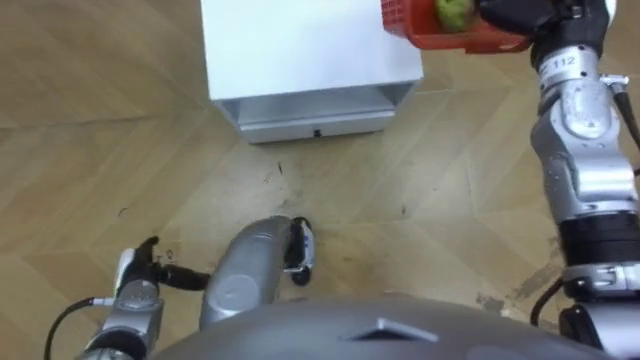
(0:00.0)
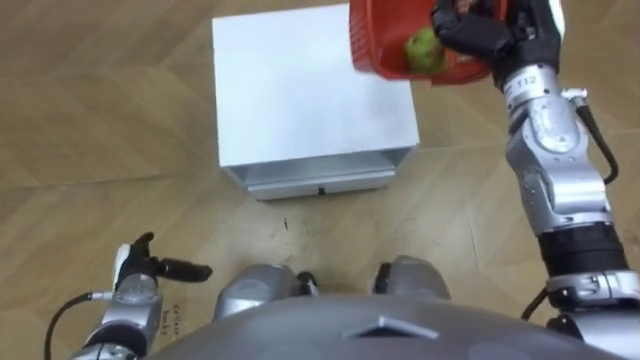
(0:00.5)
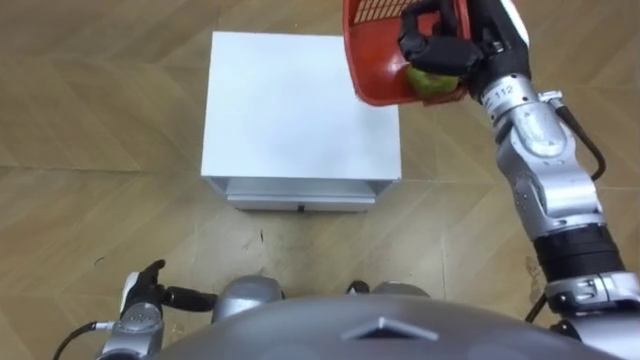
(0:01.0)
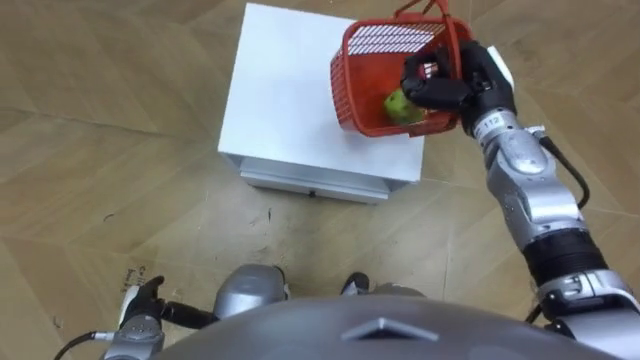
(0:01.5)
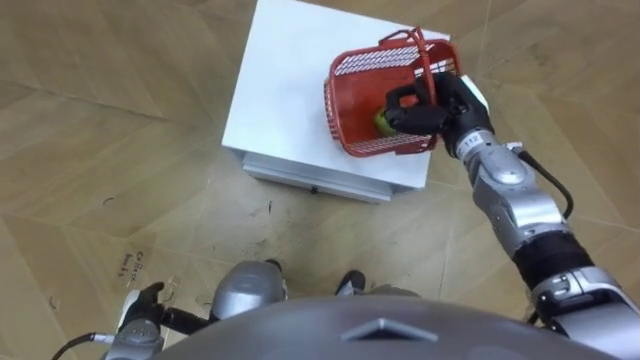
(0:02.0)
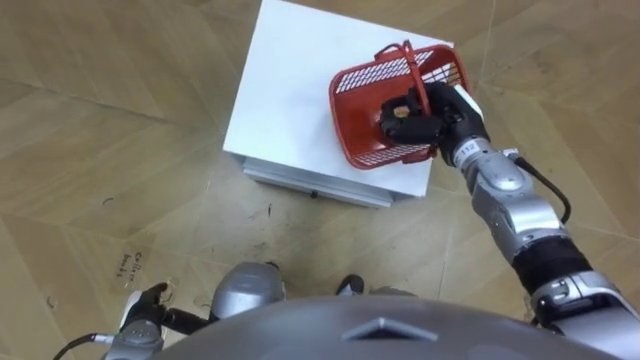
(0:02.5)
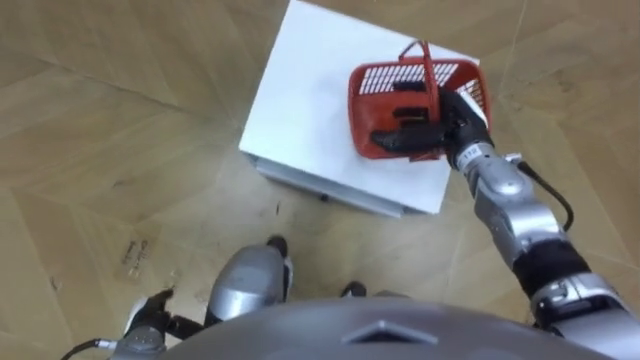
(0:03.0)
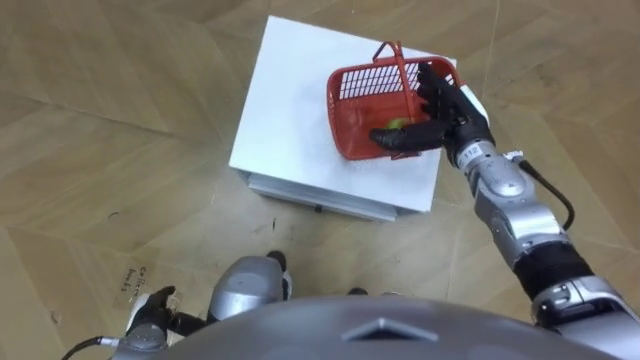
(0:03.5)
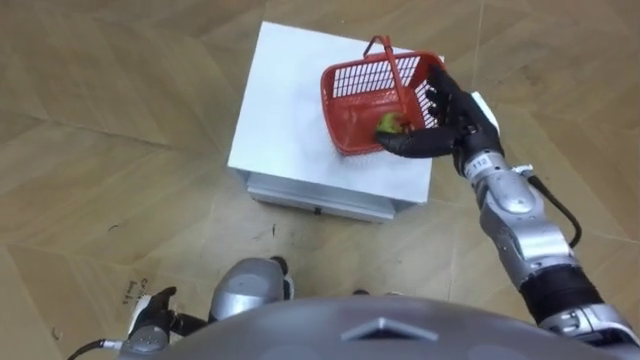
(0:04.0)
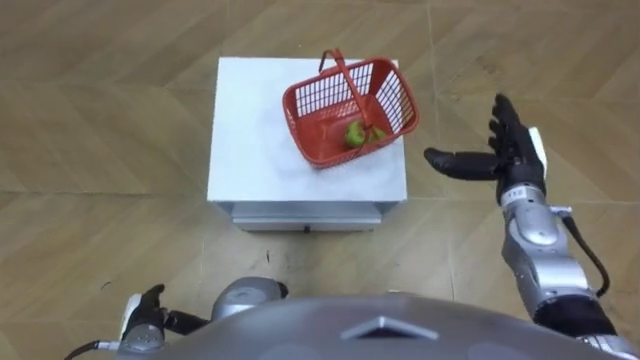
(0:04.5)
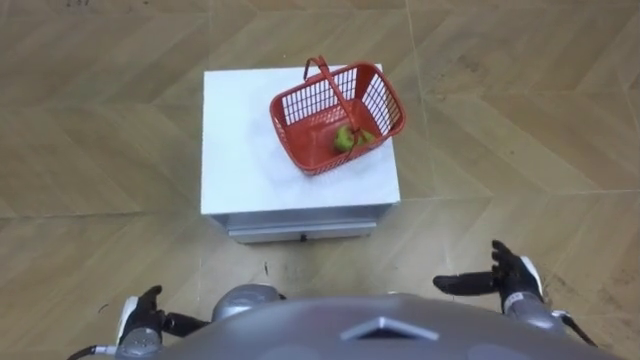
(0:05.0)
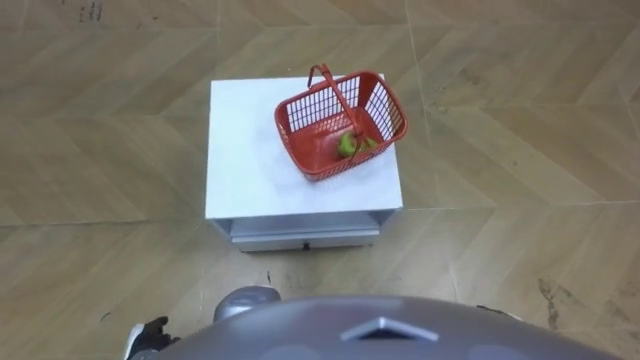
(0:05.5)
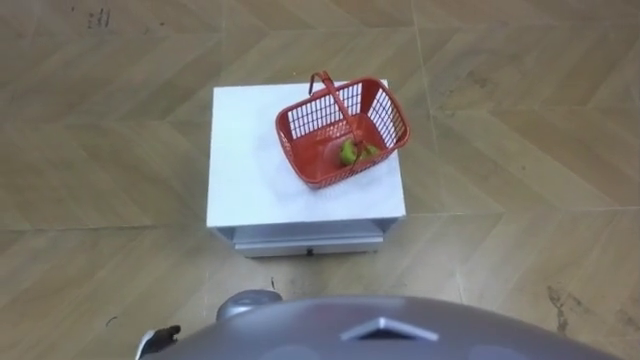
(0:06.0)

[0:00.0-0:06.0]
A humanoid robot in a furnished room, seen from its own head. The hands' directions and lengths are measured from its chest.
Task of the whole recording: Pick up the fruit basket from the floor and place it on the cabinet.
0:00.0 to 0:02.0: The left hand shifts about 5 cm backward, while the right hand goes approximately 15 cm downward and to the left.
0:02.0 to 0:04.0: The right hand opens up.
0:04.0 to 0:06.0: The right hand shifts some 35 cm backward and downward.

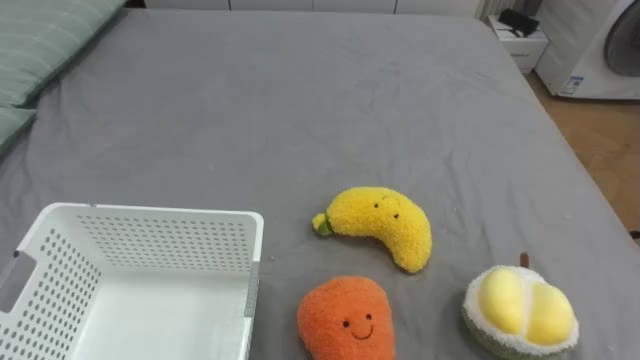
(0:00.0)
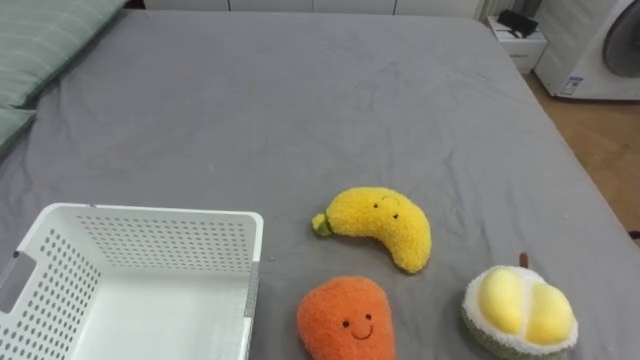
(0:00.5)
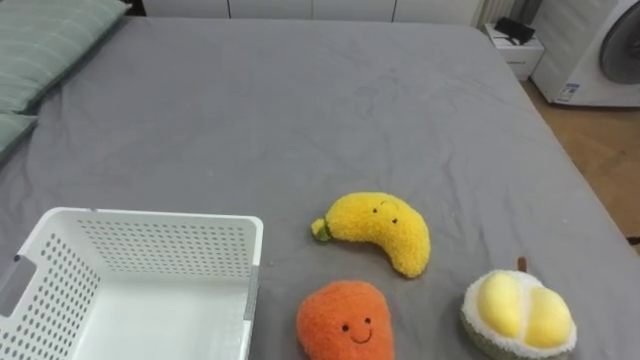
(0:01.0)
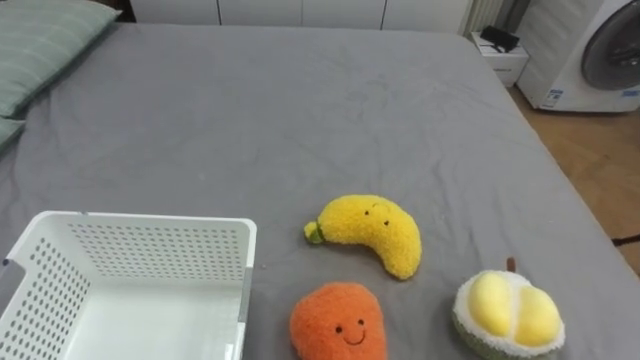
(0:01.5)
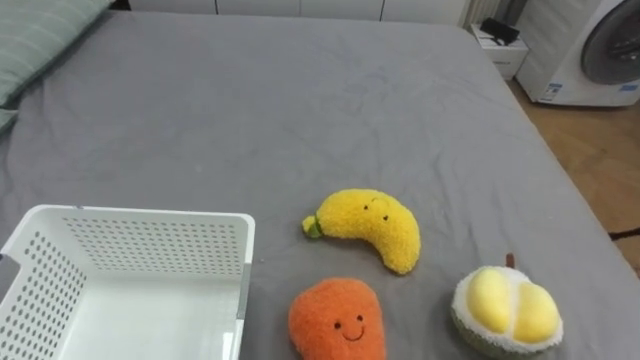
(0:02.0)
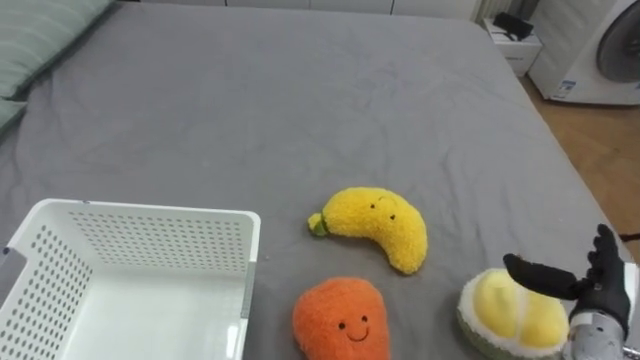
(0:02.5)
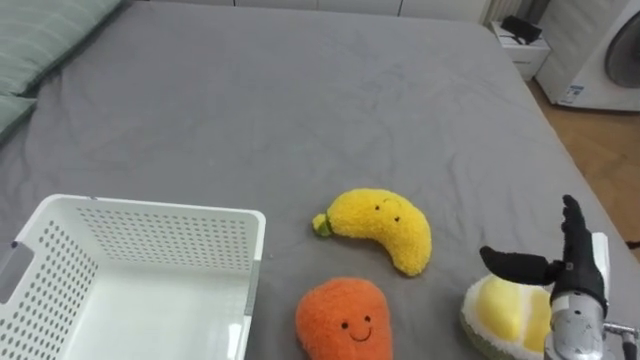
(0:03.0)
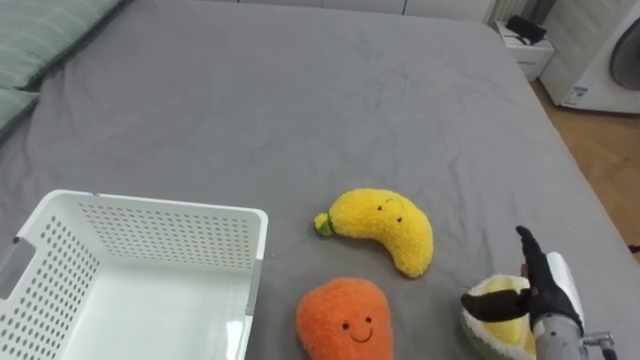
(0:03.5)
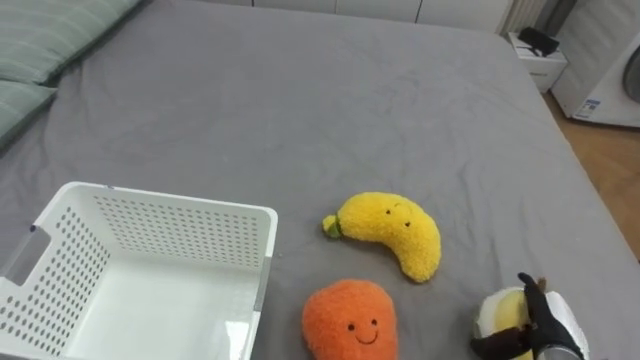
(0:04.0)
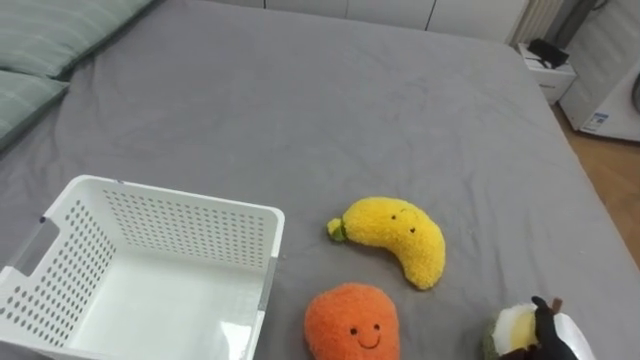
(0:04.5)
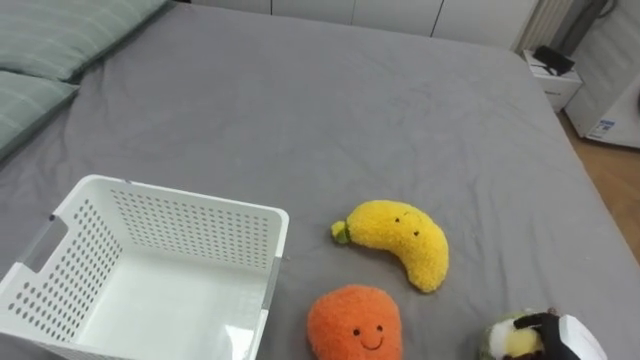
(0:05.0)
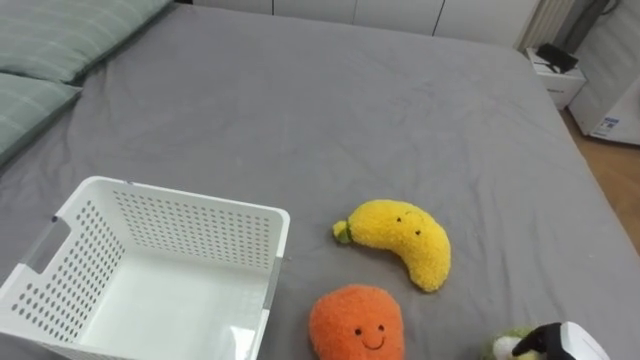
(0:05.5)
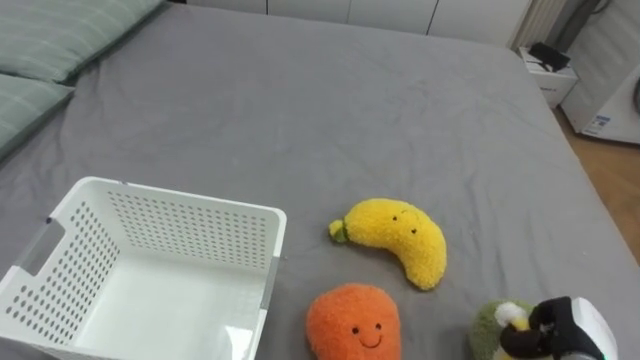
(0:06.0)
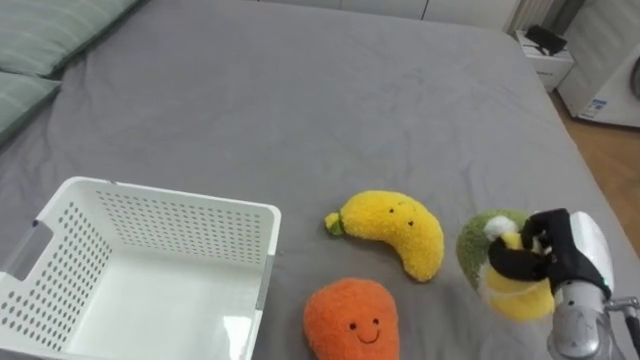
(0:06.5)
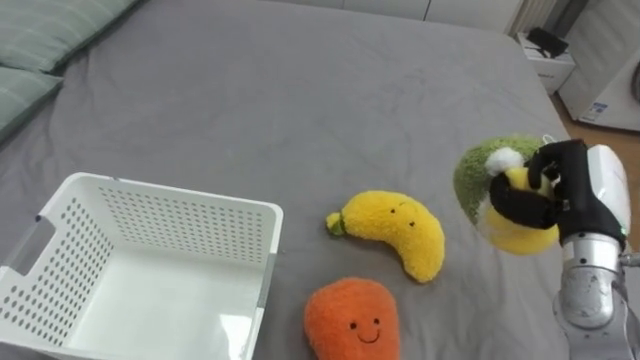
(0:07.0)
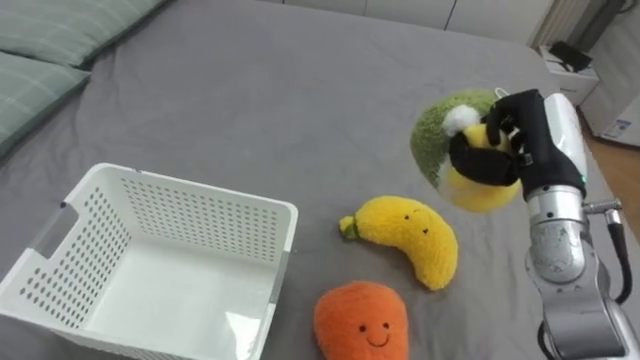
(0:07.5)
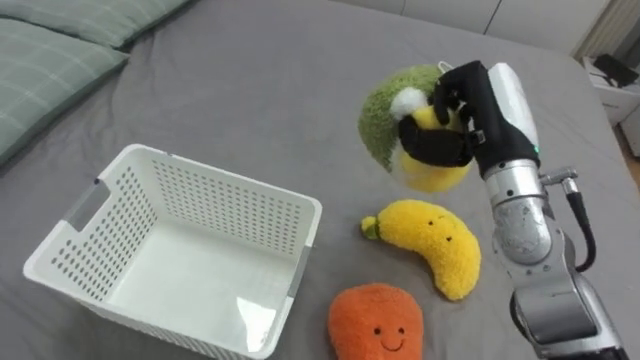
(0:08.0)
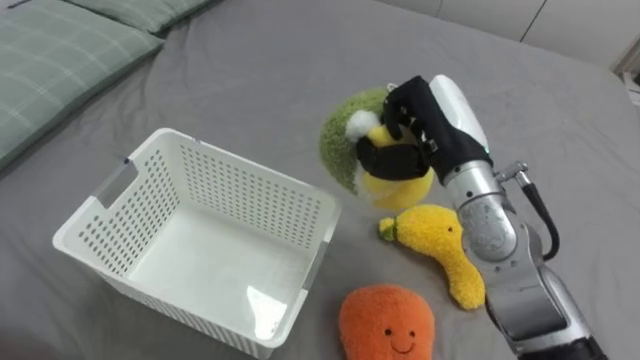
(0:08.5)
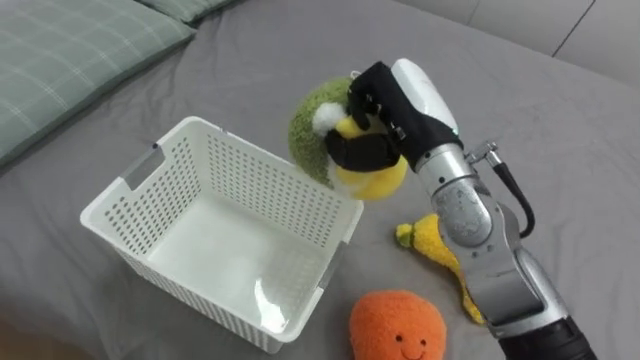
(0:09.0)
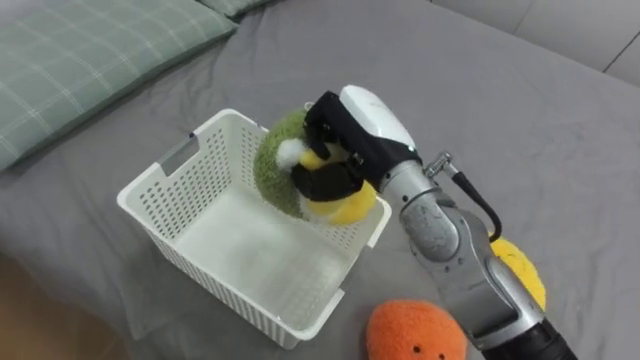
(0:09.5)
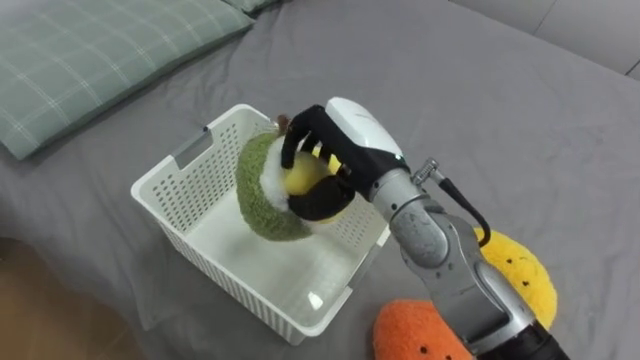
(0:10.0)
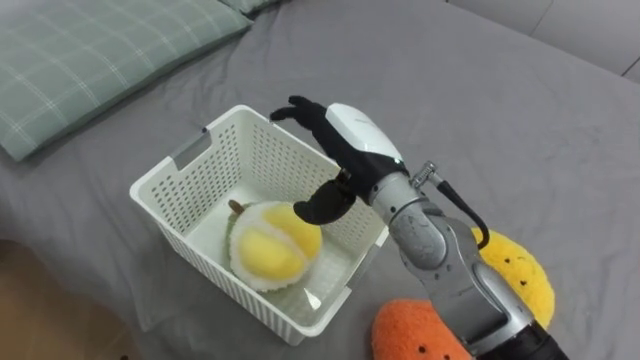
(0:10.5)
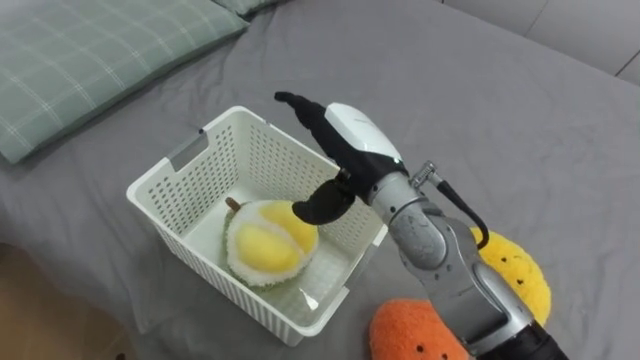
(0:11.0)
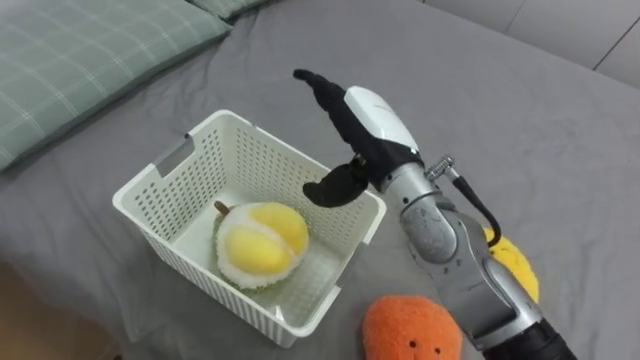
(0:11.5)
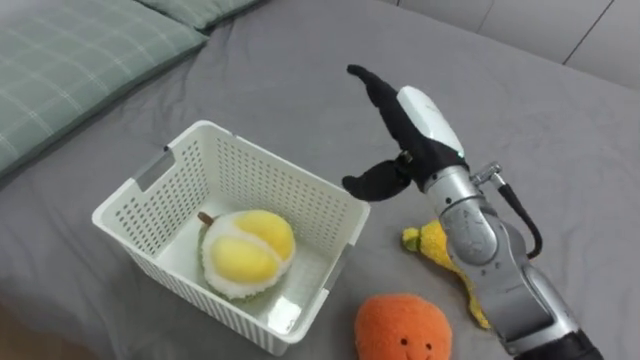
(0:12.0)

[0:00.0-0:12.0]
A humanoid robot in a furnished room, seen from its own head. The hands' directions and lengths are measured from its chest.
Task of the whole recording: Put the toys on the bed into the basket on the left.
0:06.0 to 0:08.0: The right hand heads upward, forward and to the left, covering approximately 35 cm.
0:08.0 to 0:10.0: The right hand shifts some 15 cm to the left.
0:10.0 to 0:12.0: The right hand shifts about 5 cm to the right, and opens.

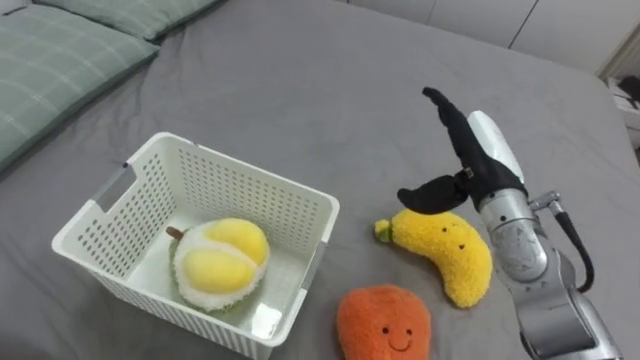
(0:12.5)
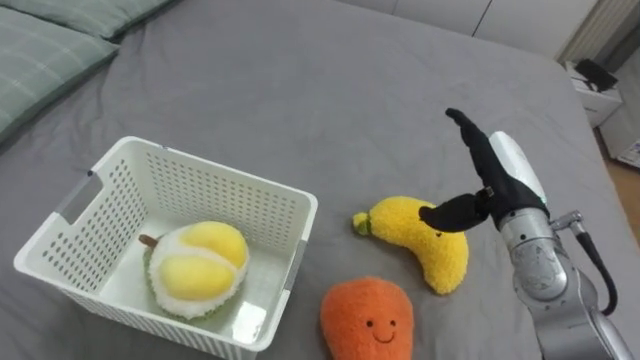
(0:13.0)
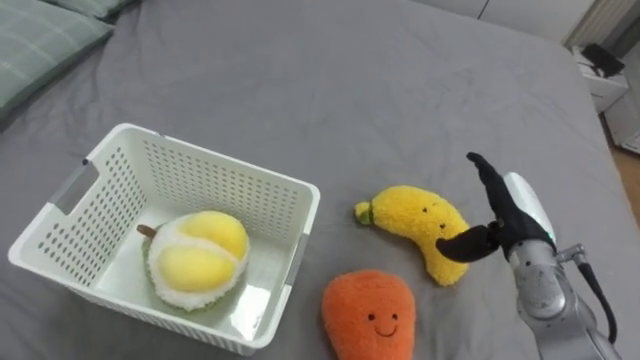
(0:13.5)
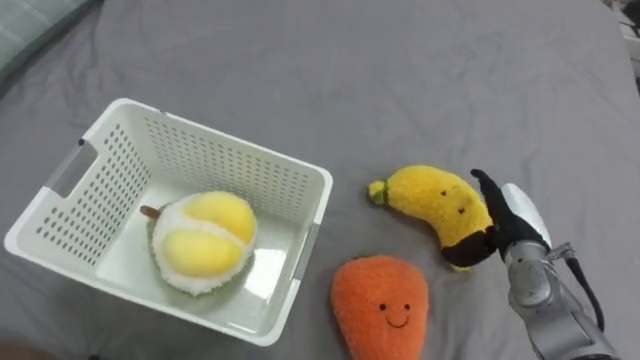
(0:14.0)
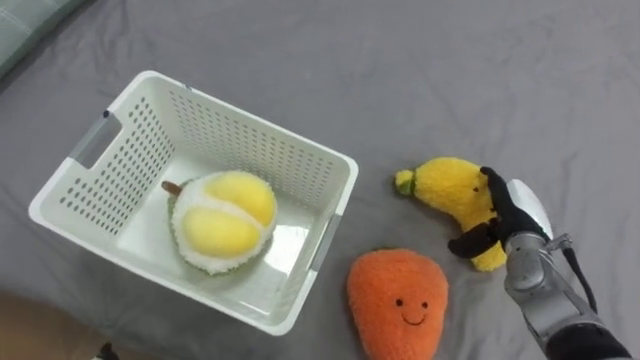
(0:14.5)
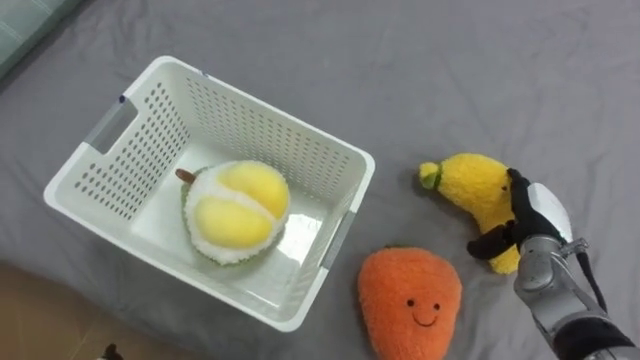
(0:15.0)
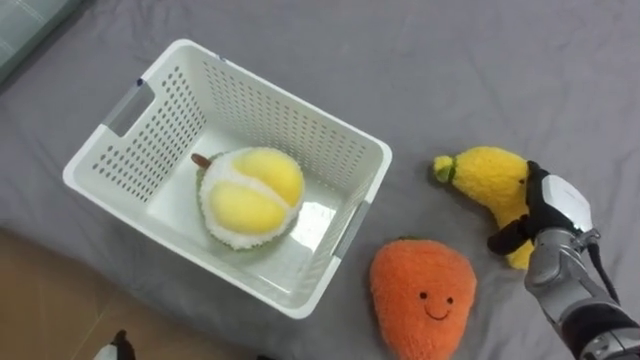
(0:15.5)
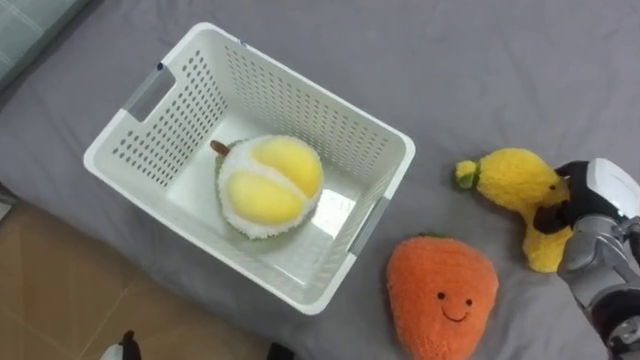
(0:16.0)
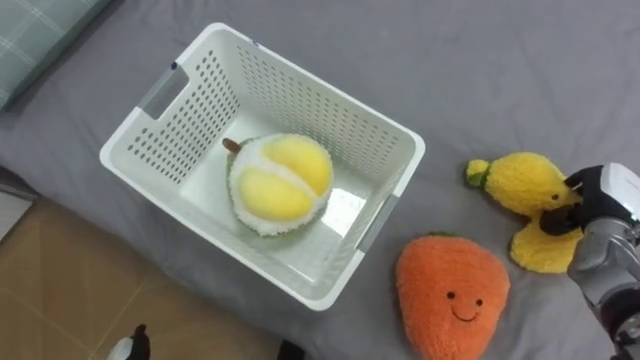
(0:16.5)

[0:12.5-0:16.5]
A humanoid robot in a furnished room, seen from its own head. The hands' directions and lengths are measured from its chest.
Task of the whole recording: Put the toys on the bed into the basket on the left.
0:12.5 to 0:14.5: The right hand travels downward and to the right by approximately 15 cm.
0:14.5 to 0:16.5: The right hand heads to the right, covering about 10 cm, and closes its fingers.
